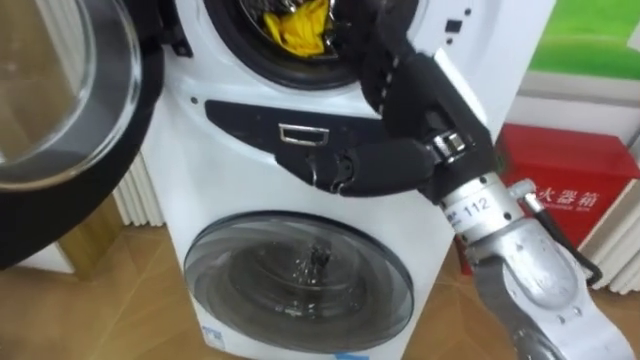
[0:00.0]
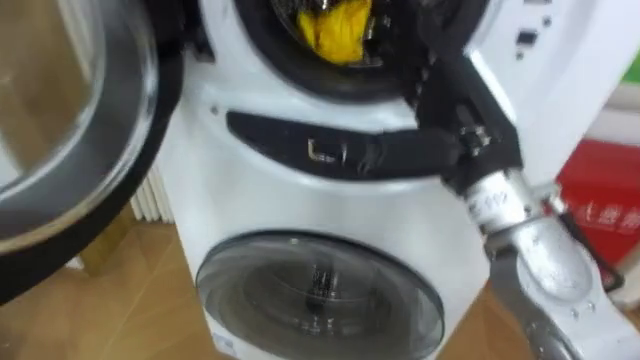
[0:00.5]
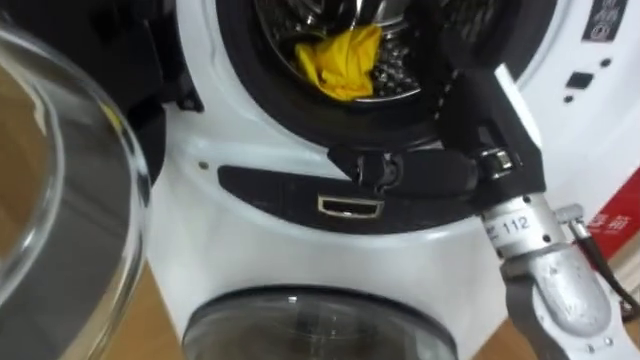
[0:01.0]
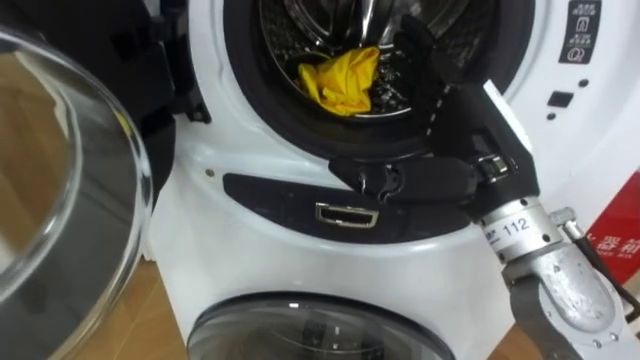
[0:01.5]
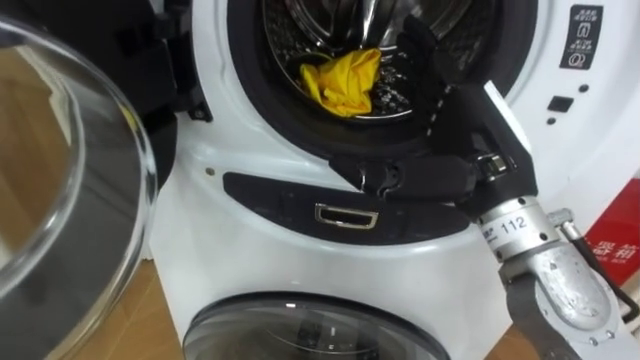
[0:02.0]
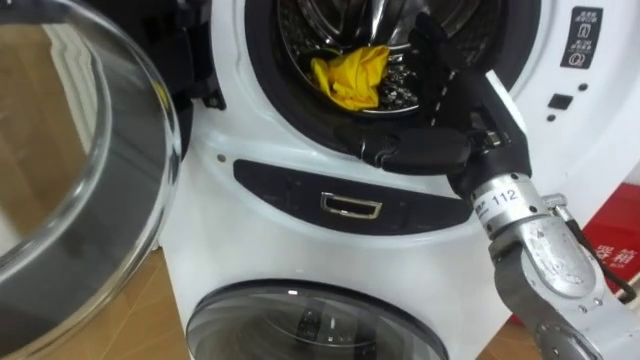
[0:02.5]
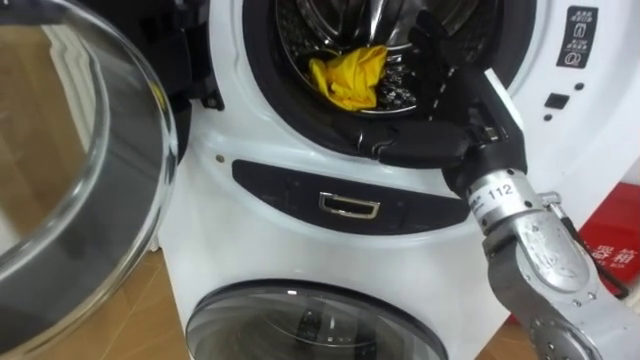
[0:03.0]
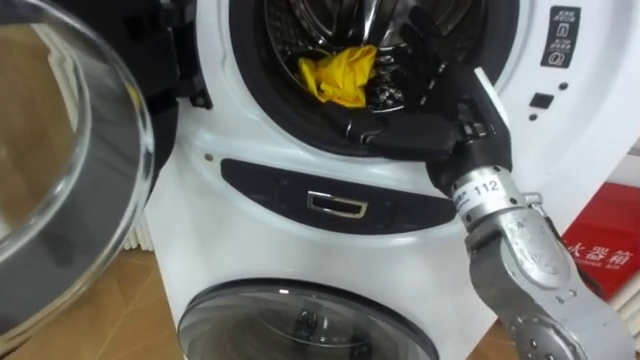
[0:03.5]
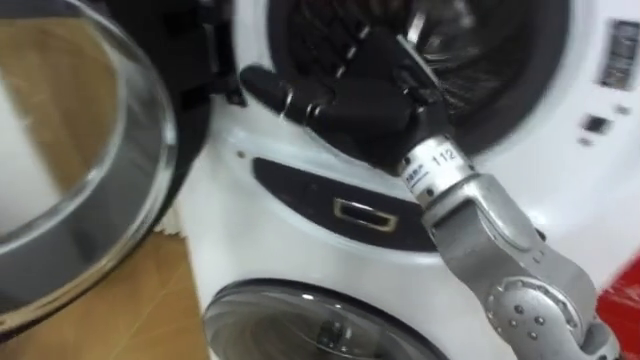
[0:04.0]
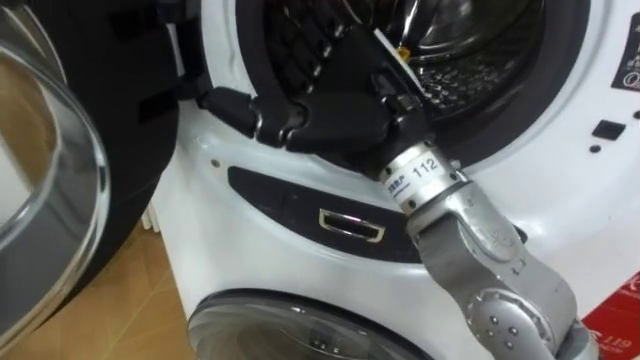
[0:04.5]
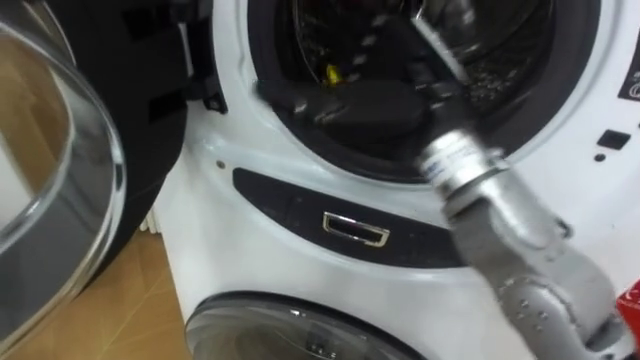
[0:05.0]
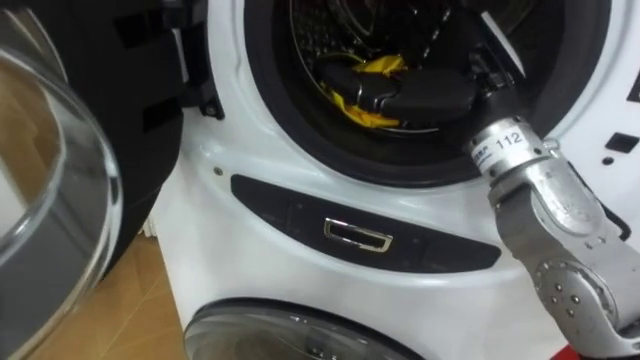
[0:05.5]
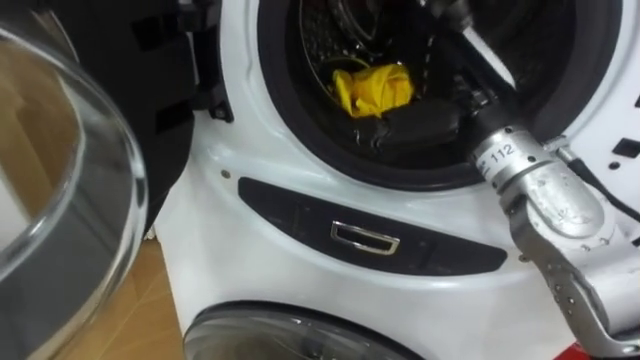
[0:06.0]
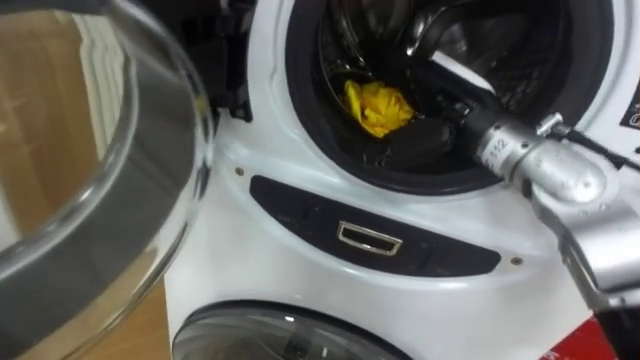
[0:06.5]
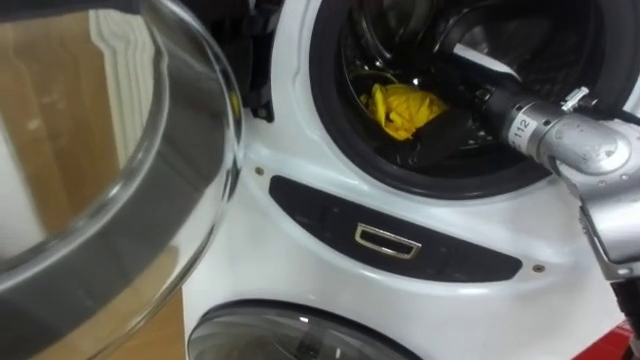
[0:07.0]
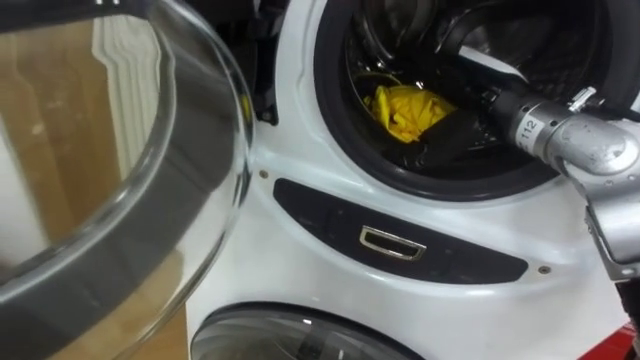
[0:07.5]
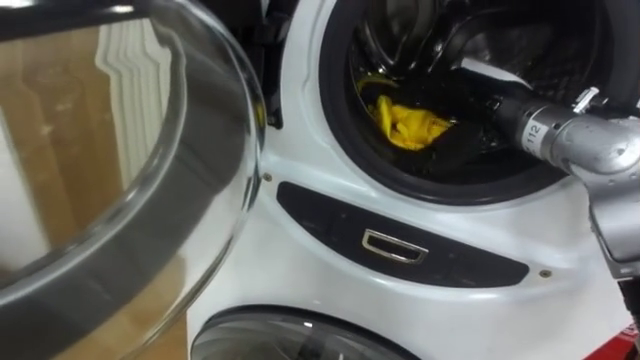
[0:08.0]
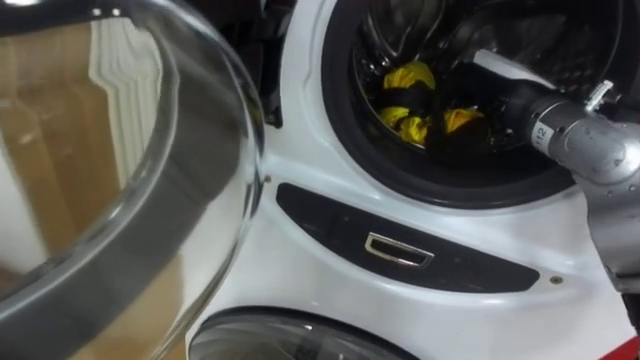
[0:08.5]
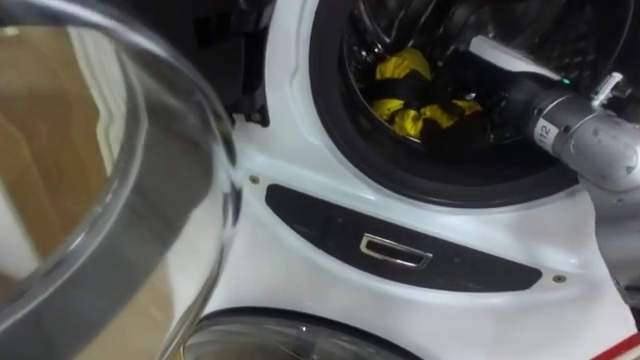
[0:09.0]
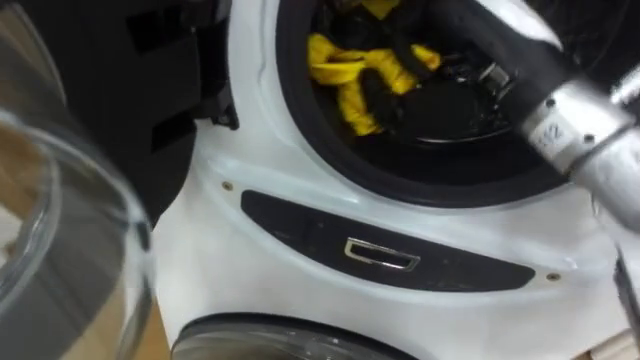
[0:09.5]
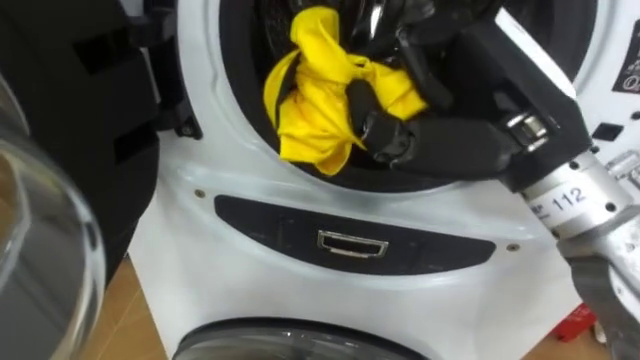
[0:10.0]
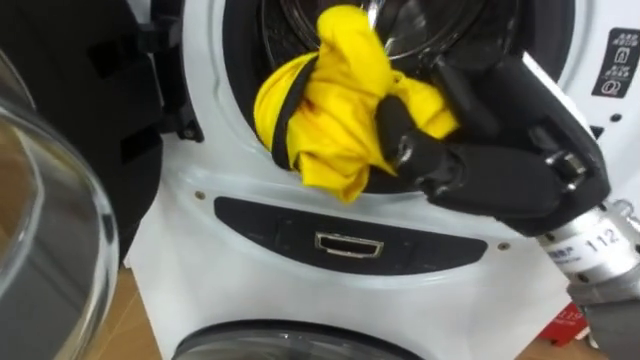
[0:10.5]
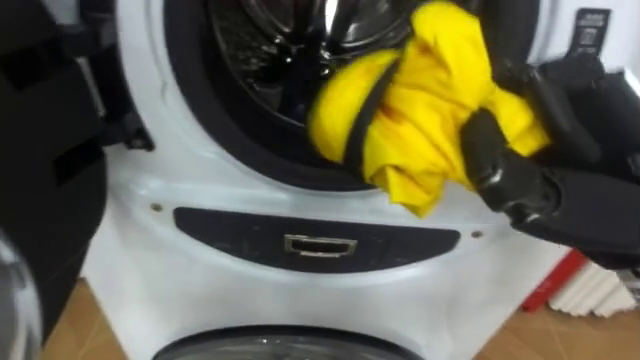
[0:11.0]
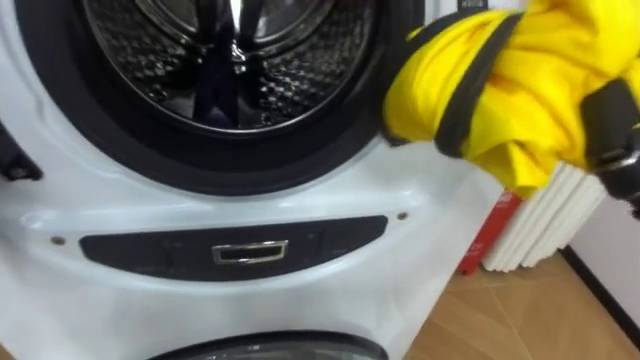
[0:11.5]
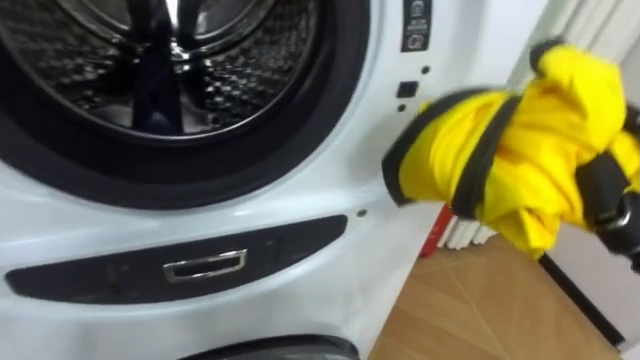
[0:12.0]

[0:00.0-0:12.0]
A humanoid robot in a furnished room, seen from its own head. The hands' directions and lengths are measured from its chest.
Task of the whole recording: Open the washing machine door, take out the yellow clothes, place them in the box on the right, and close the washing machine door.
0:00.0 to 0:02.0: The right hand changes place by approximately 5 cm.
0:02.0 to 0:04.0: The right hand heads to the left, covering approximately 10 cm.
0:04.0 to 0:06.0: The right hand goes roughly 5 cm to the right.
0:06.0 to 0:08.0: The right hand shifts by some 10 cm.
0:08.0 to 0:10.0: The right hand heads backward and upward, covering roughly 15 cm, and closes its fingers.

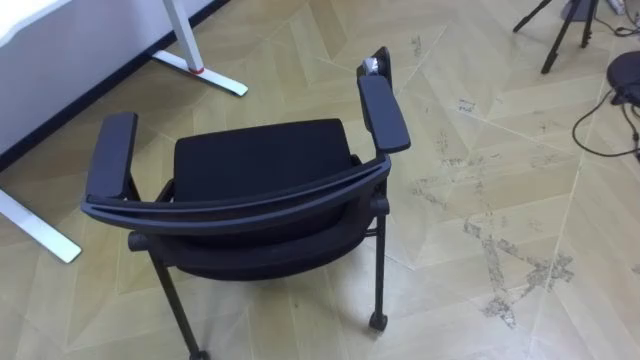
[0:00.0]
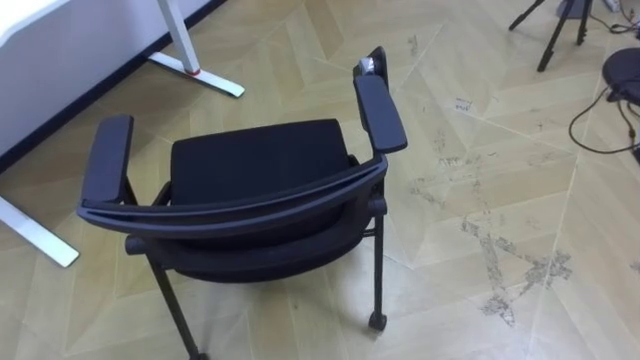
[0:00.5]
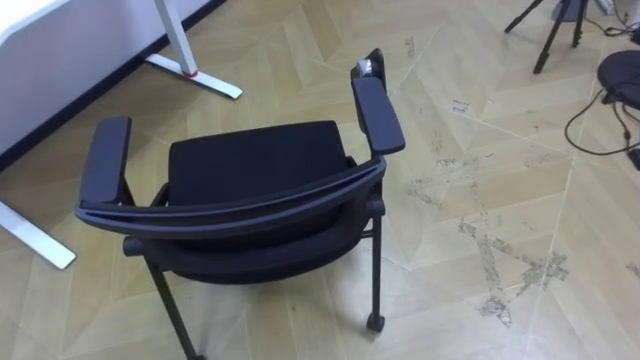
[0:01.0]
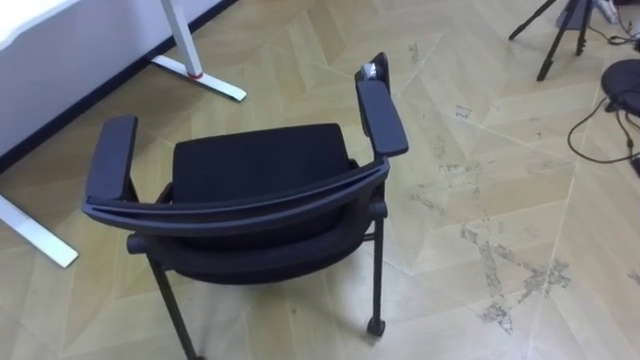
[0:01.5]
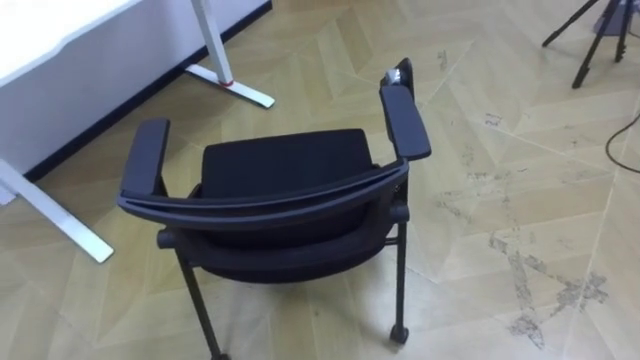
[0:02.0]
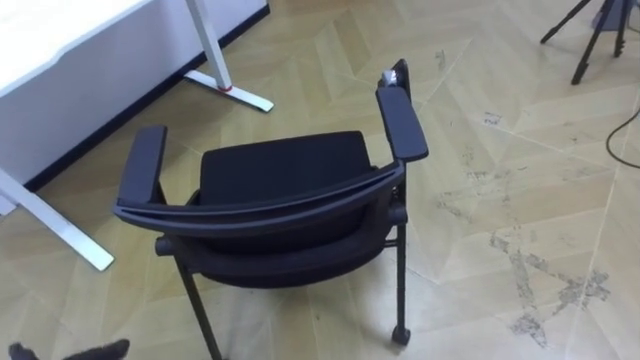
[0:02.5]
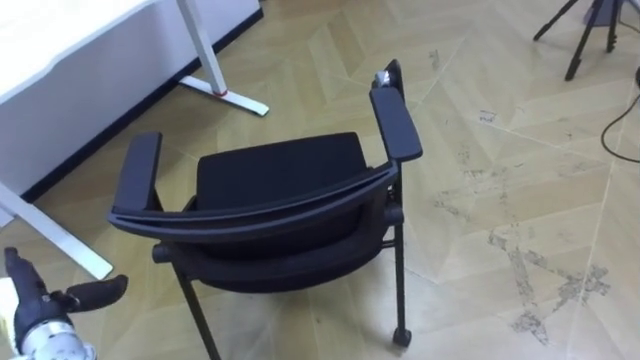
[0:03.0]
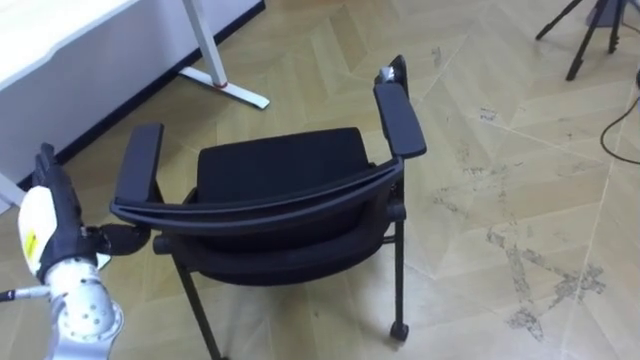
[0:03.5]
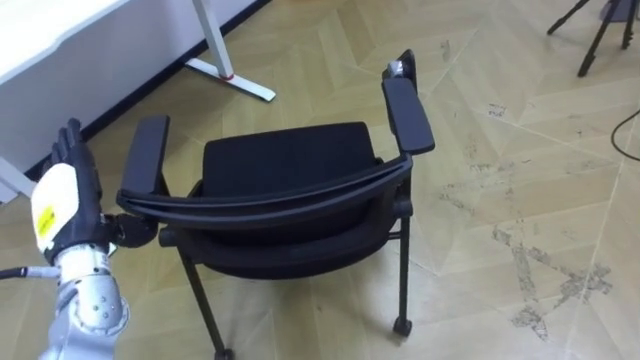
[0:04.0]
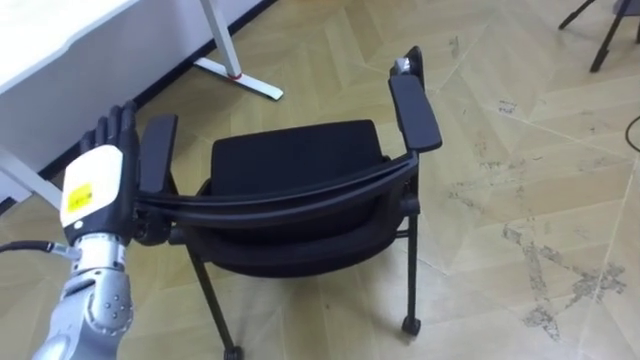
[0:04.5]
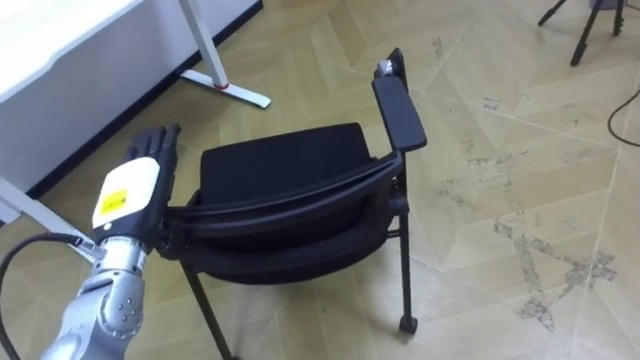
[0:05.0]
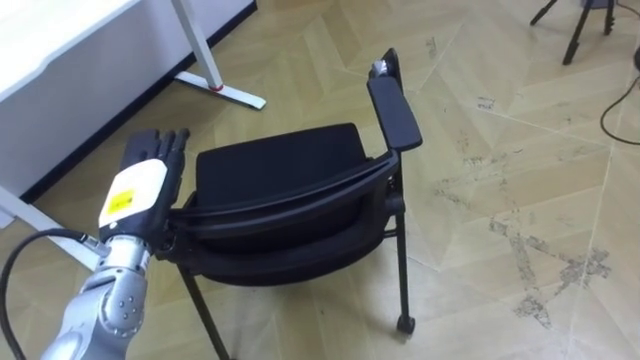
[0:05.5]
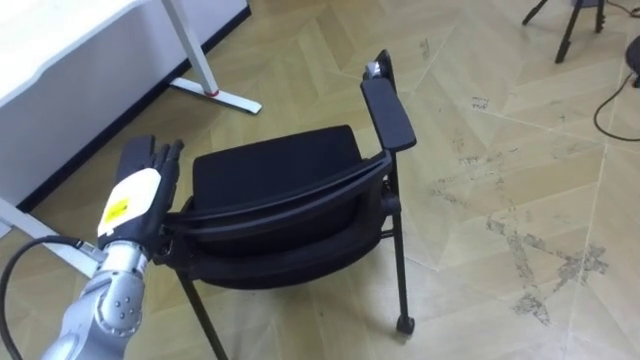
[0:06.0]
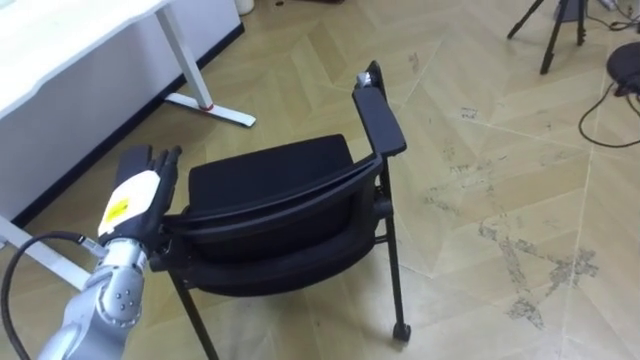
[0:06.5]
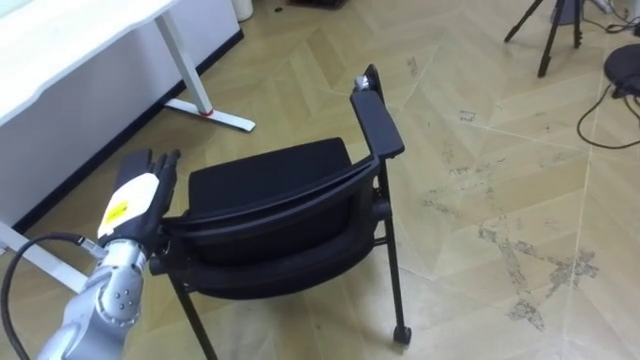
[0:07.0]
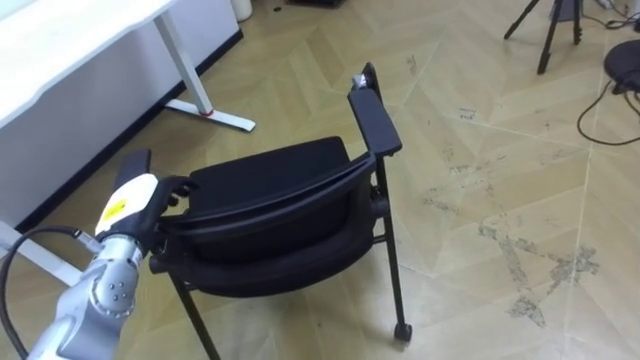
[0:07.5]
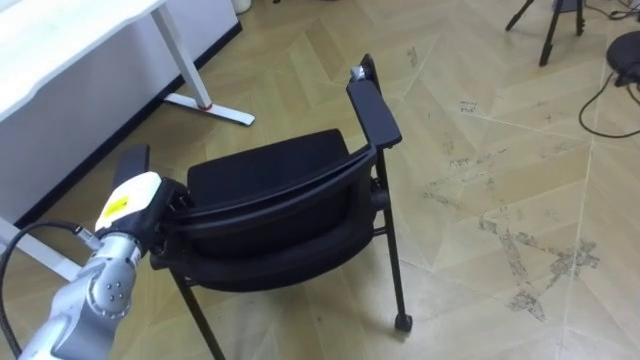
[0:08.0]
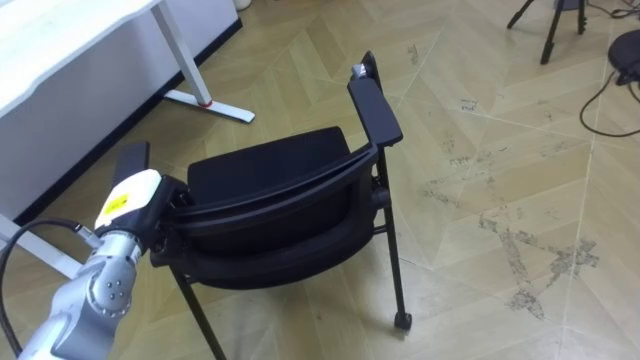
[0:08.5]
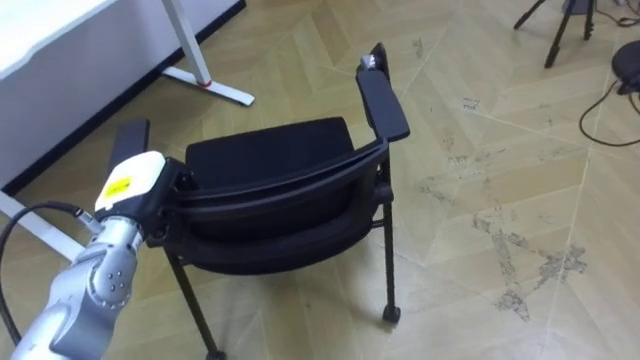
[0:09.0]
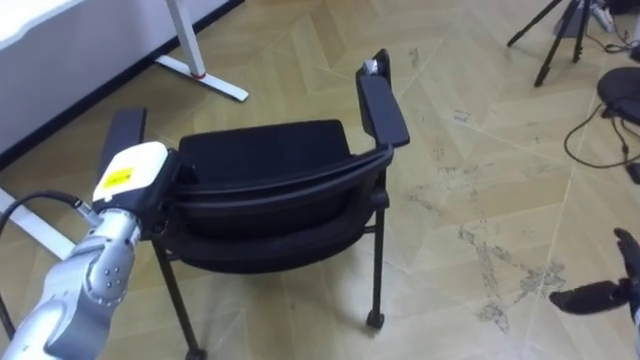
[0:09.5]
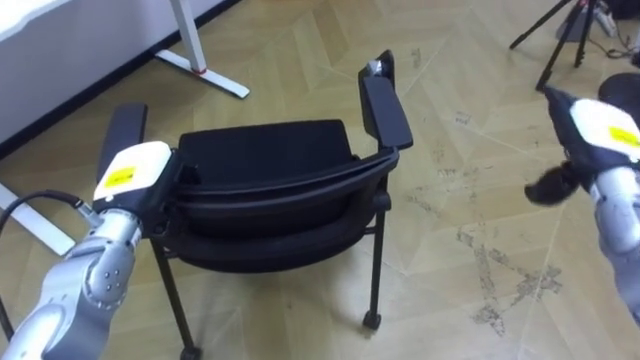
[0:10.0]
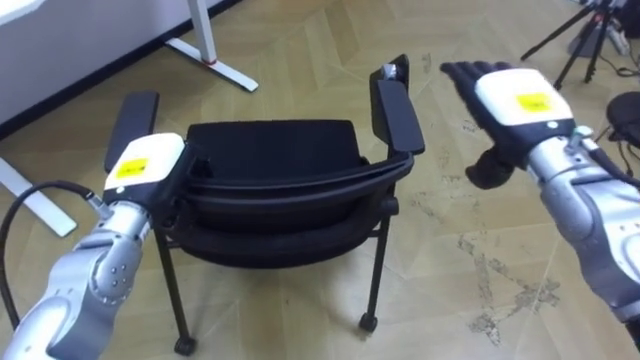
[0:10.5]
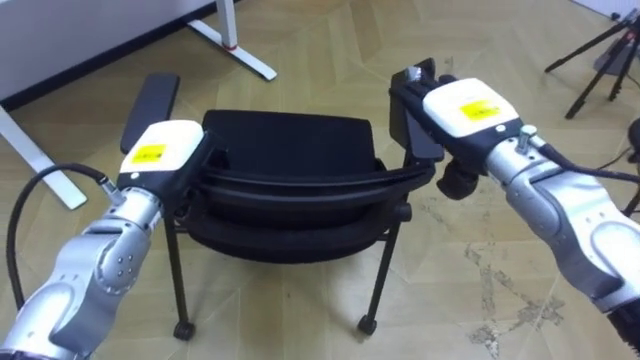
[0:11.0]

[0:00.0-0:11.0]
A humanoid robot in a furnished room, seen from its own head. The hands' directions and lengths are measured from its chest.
Task of the whole recording: Push the chair under the table.
0:03.5 to 0:05.5: The left hand heads to the right, covering some 10 cm.
0:07.5 to 0:09.0: The left hand closes.
0:09.0 to 0:11.0: The left hand travels upward by approximately 5 cm.
